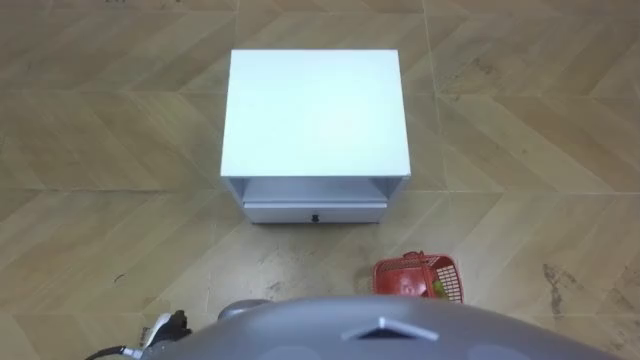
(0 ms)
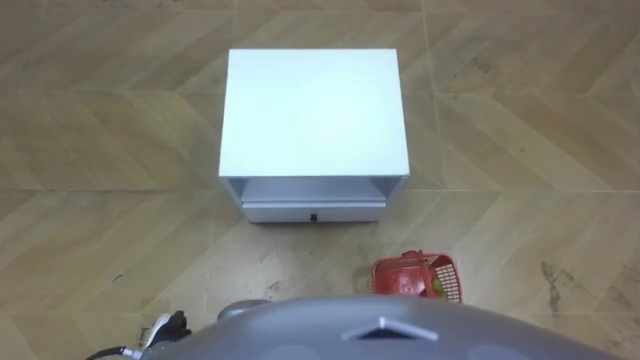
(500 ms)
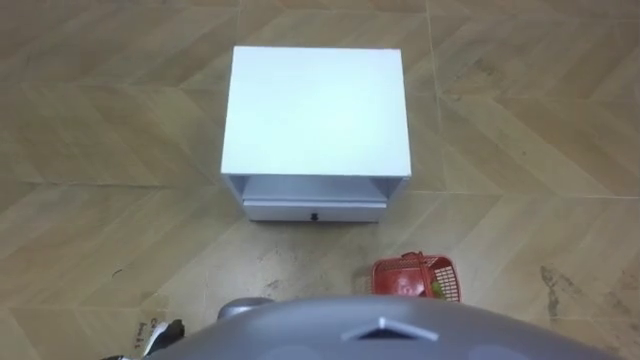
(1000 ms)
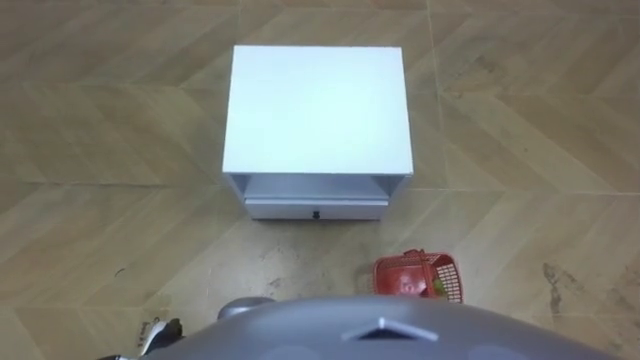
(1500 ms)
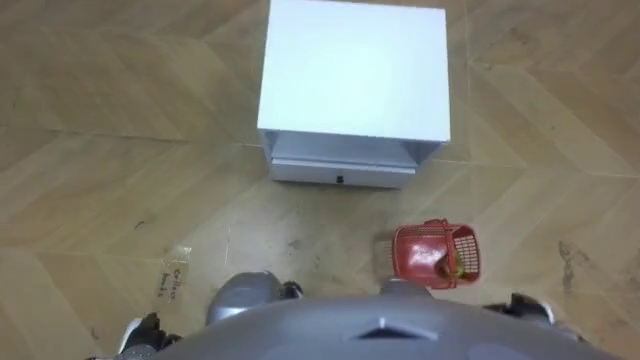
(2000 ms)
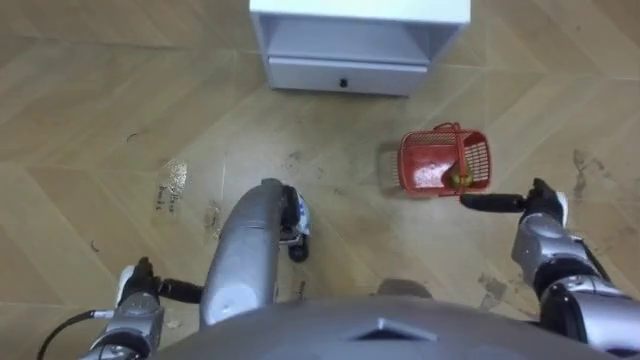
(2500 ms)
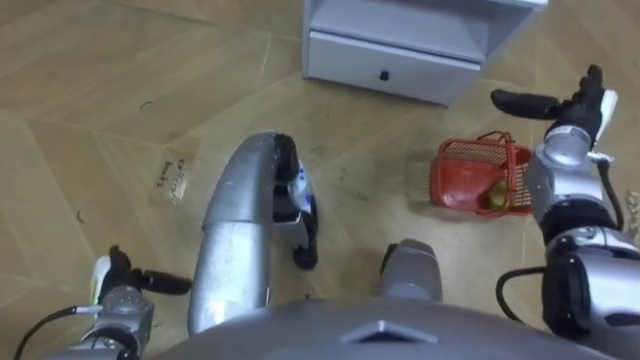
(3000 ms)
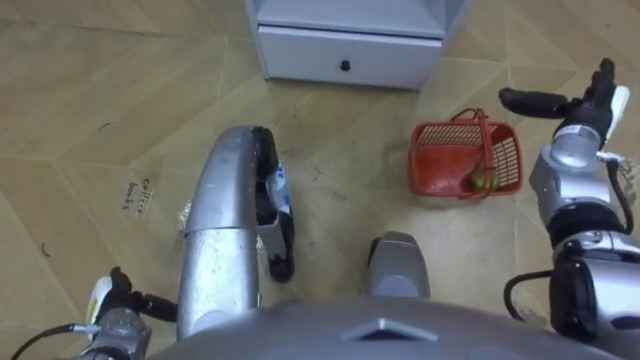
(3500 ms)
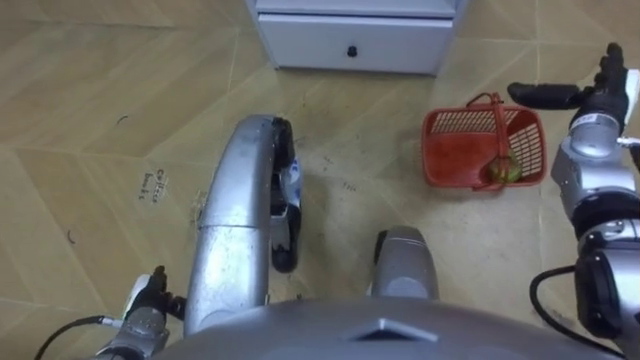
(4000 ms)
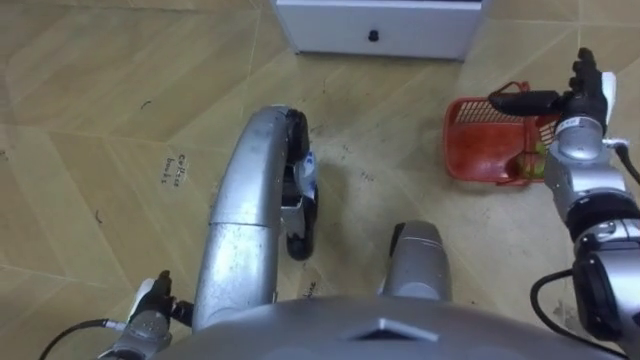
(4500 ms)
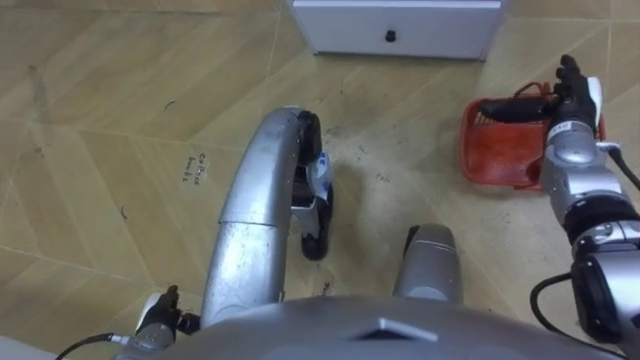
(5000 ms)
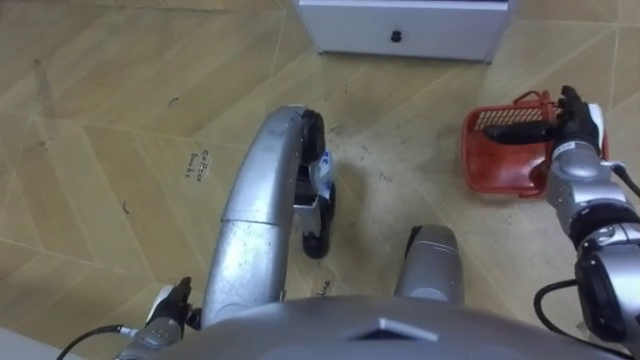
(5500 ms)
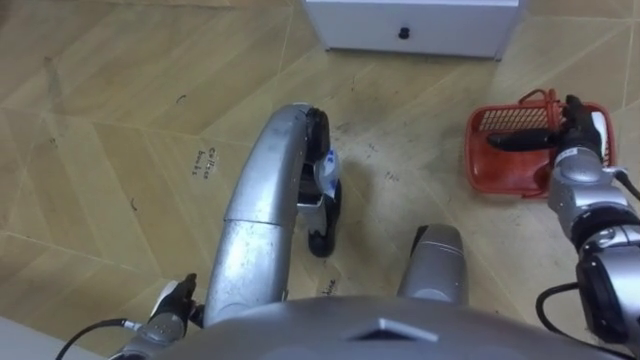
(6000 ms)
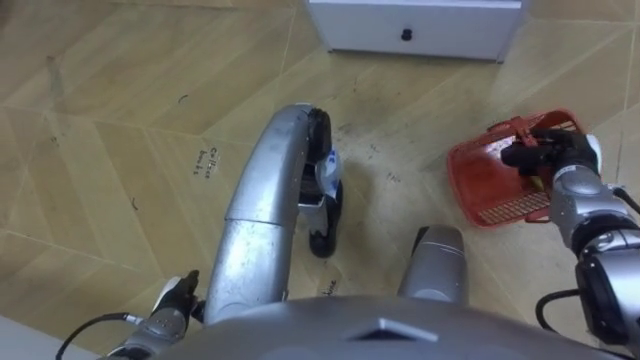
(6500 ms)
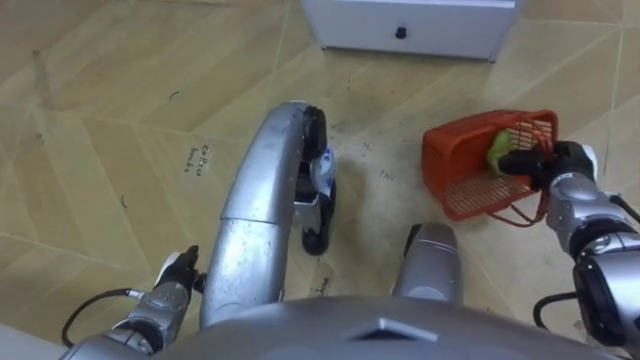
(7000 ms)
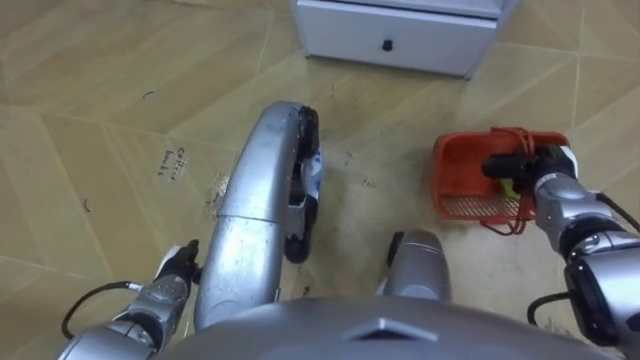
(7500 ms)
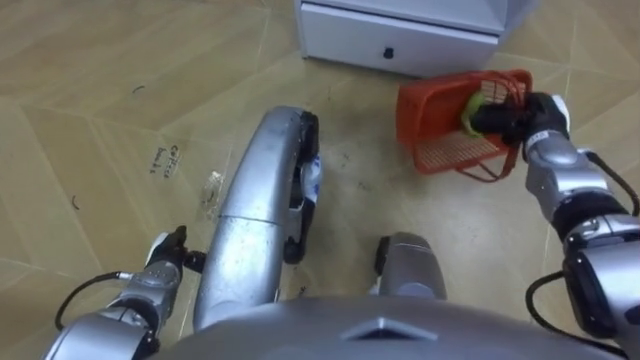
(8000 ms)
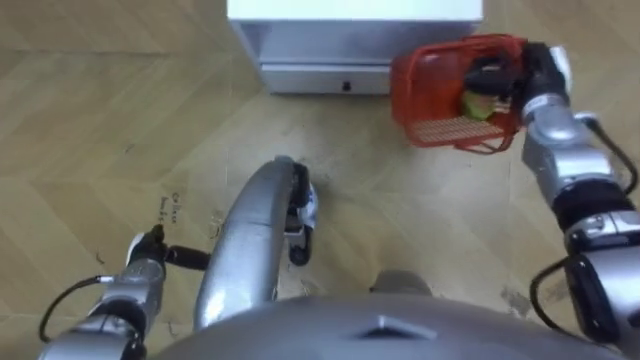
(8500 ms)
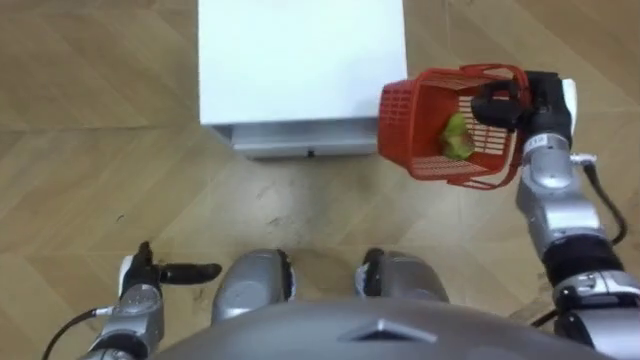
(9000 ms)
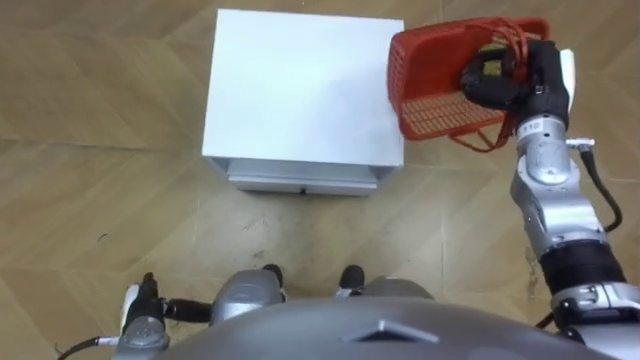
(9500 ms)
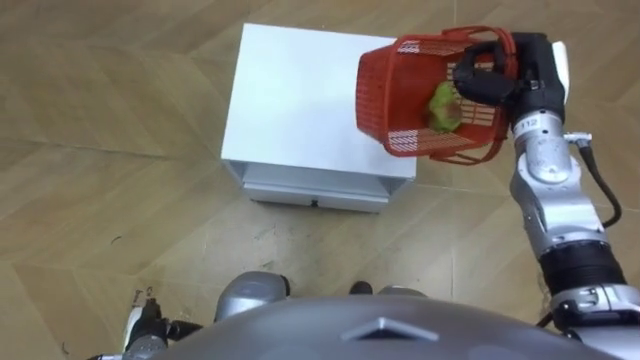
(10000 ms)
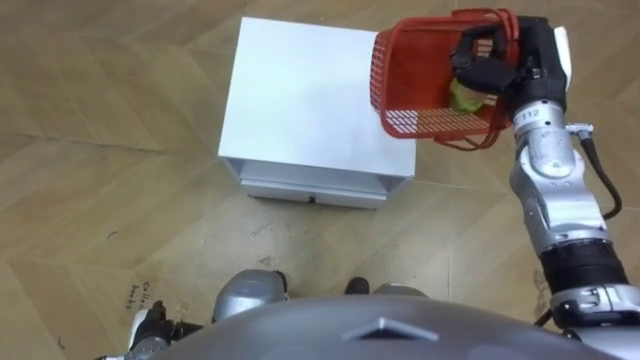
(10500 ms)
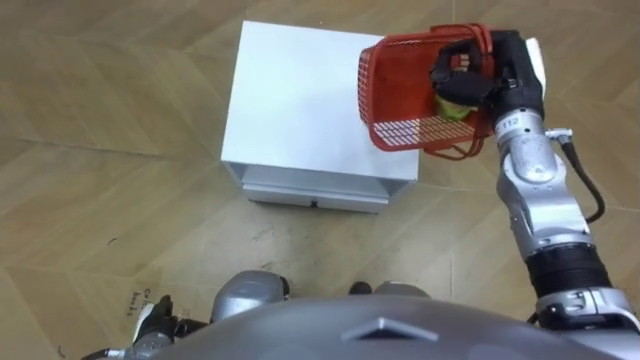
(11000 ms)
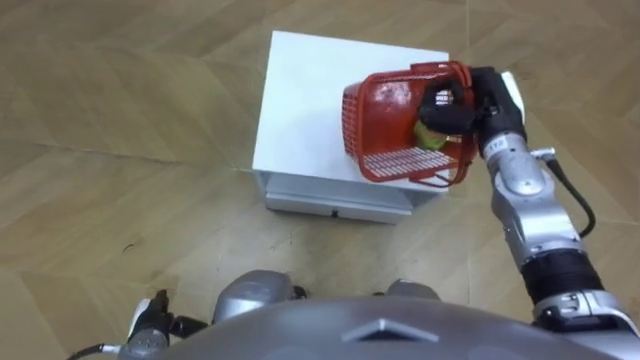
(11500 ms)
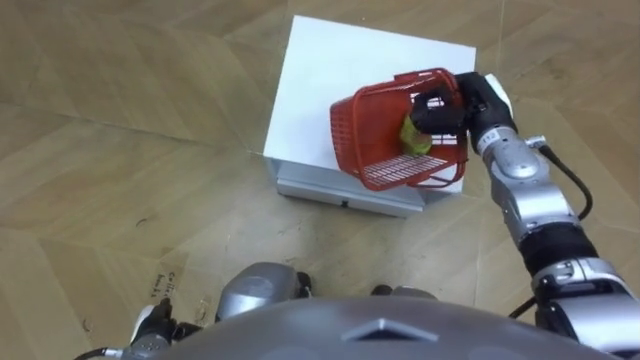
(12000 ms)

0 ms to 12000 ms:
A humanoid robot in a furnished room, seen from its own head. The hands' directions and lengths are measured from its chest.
Task of the whole recording: Pick up the fruit basket from the floor and place it on the cabinet.
2000 ms to 4000 ms: The right hand heads forward and upward, covering approximately 35 cm.
4000 ms to 6000 ms: The right hand heads downward, covering approximately 5 cm.
6000 ms to 8000 ms: The right hand ends up approximately 5 cm from where it was, and closes, while the left hand travels forward by about 10 cm.
8000 ms to 10000 ms: The left hand travels backward by approximately 10 cm. Meanwhile the right hand moves upward, roughly 10 cm.
10000 ms to 12000 ms: The right hand travels downward by roughly 5 cm.

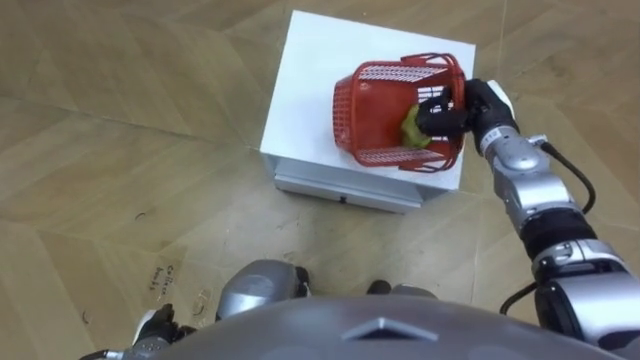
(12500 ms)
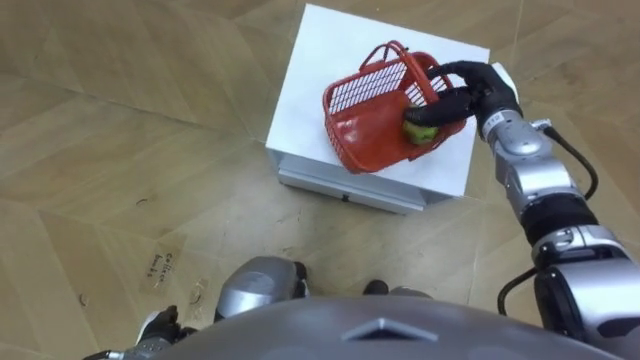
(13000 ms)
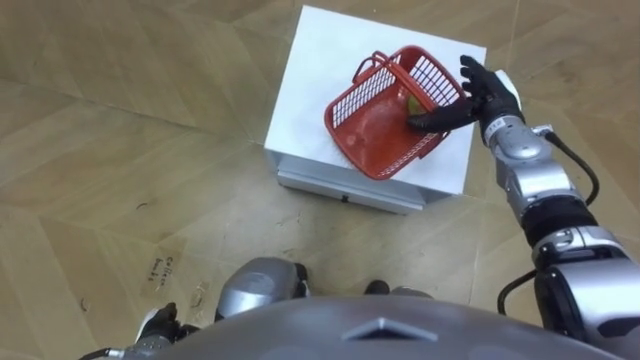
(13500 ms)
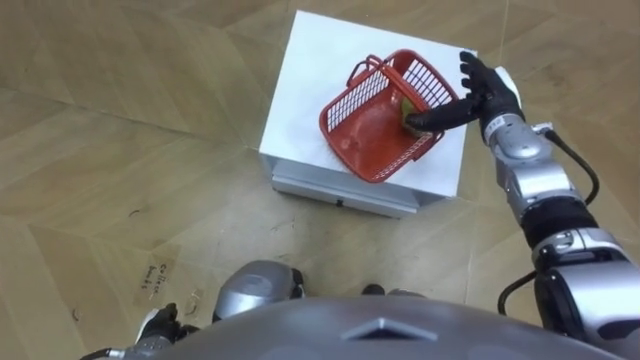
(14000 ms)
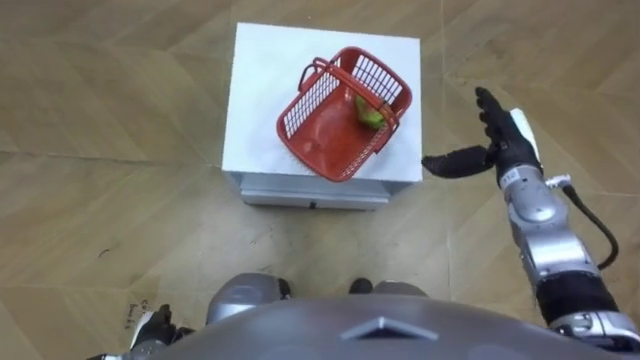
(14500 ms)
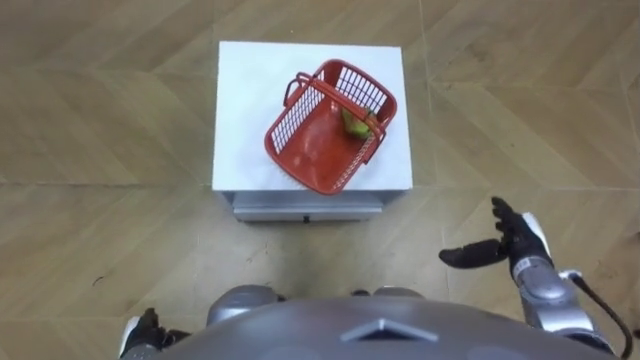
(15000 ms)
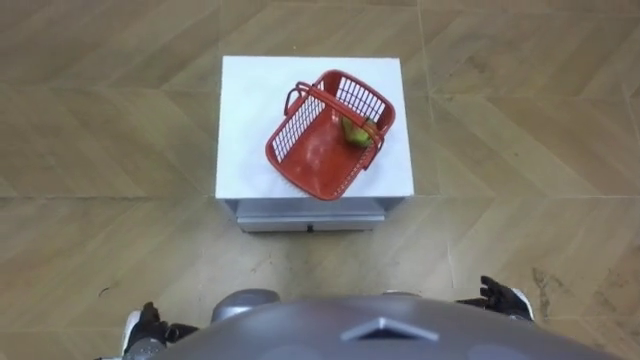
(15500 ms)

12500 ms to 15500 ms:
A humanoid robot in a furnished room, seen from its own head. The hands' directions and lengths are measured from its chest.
Task of the whole recording: Pick up the fruit basket from the floor and place it on the cabinet.
12500 ms to 14000 ms: The right hand opens its fingers.
14000 ms to 15500 ms: The right hand moves backward and downward, about 30 cm.

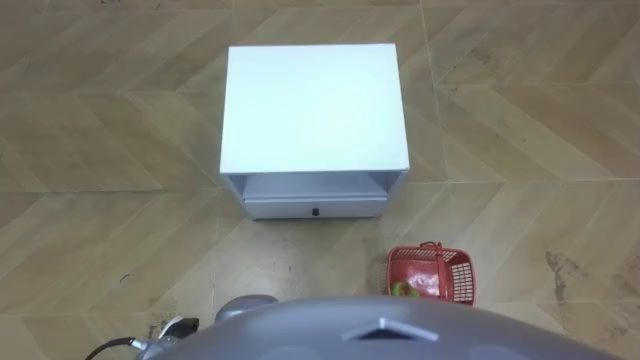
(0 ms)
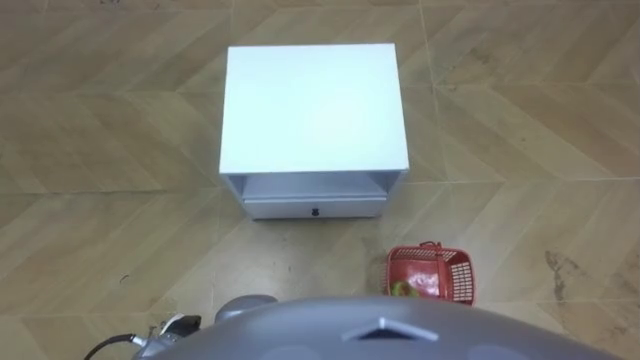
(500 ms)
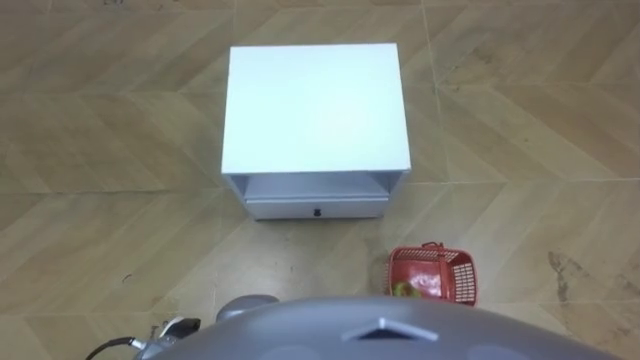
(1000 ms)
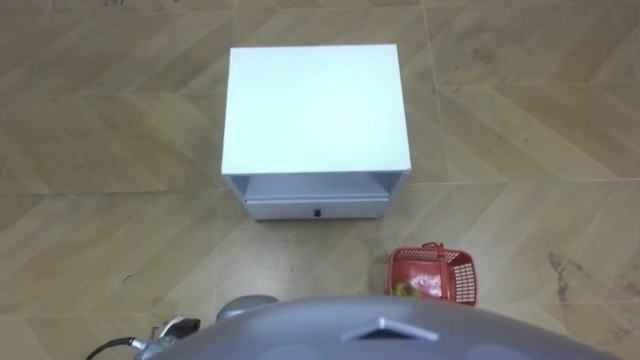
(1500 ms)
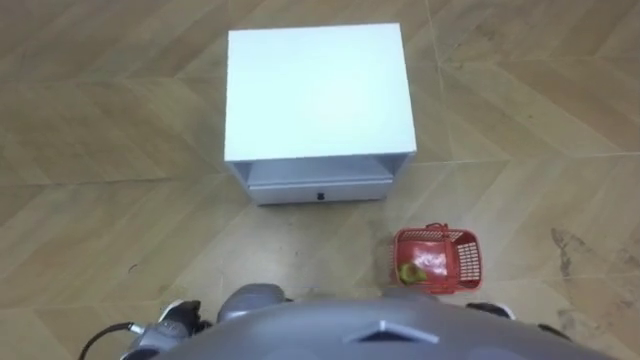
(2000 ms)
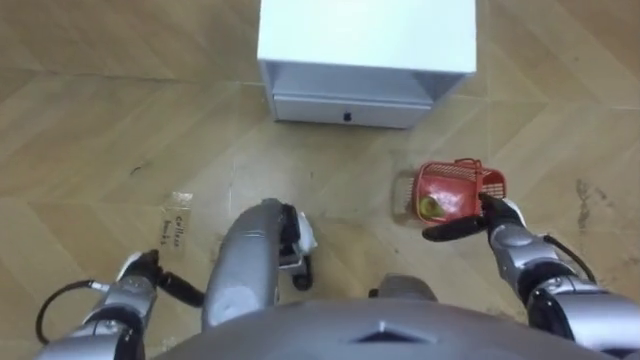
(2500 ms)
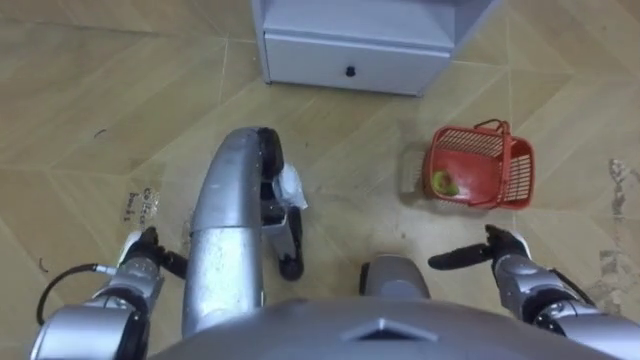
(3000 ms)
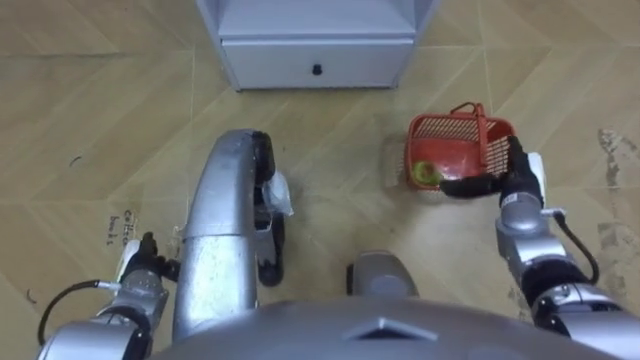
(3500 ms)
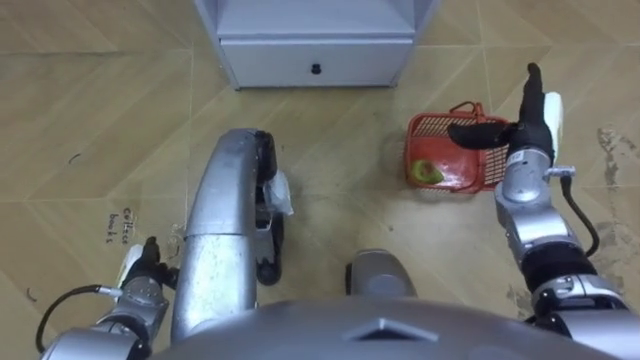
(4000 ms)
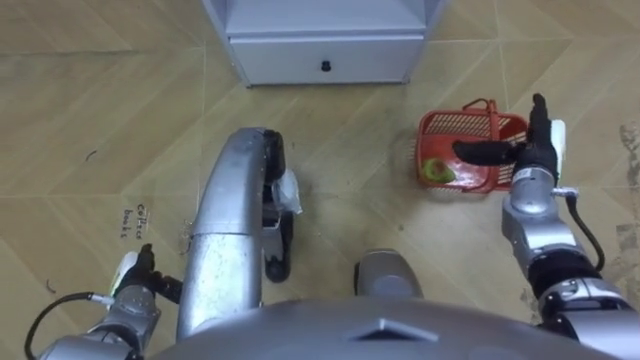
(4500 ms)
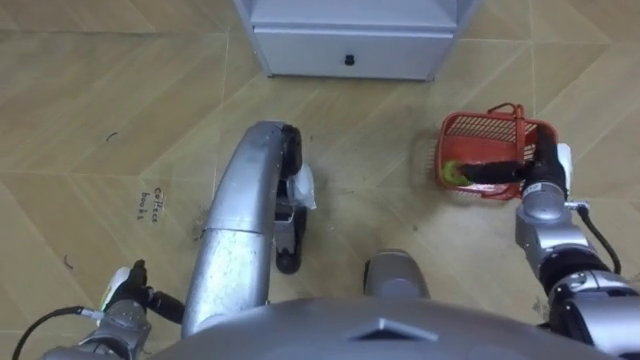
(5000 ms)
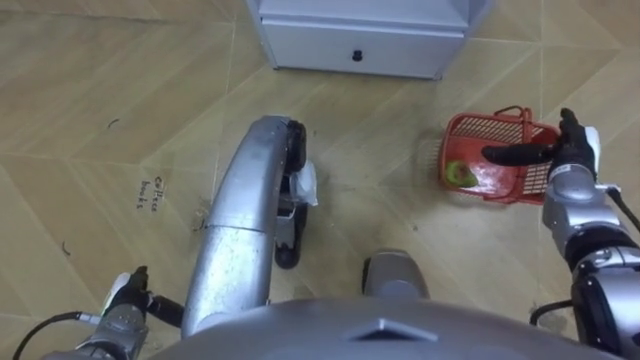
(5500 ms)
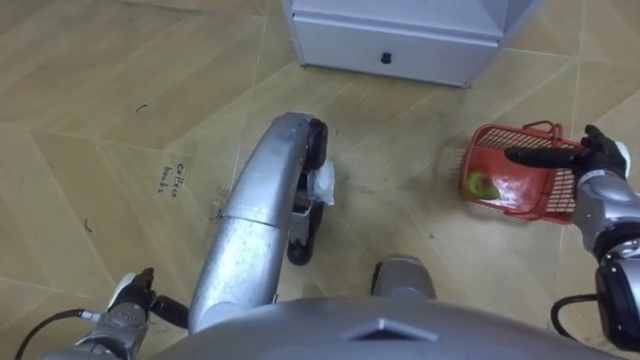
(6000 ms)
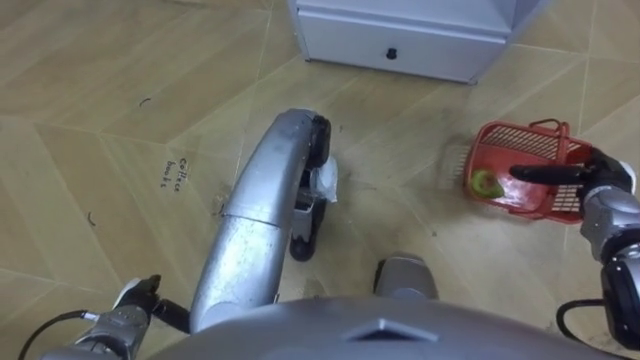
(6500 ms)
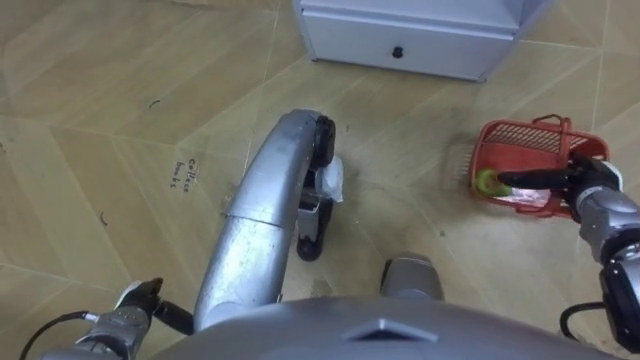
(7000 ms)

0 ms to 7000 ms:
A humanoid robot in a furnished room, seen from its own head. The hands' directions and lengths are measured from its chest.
Task of the whole recording: Pick up the fruit basket from the floor and place it on the cabinet.
2000 ms to 3500 ms: The left hand moves forward and to the left, about 10 cm. The right hand heads forward, covering roughly 20 cm.
3500 ms to 5000 ms: The left hand ends up roughly 5 cm from where it was.
5000 ms to 7000 ms: The right hand is displaced to the right by approximately 5 cm.
